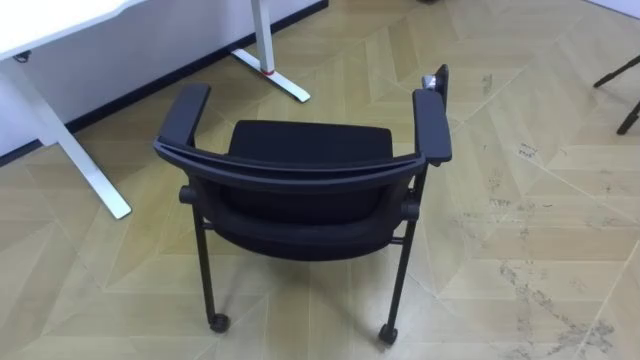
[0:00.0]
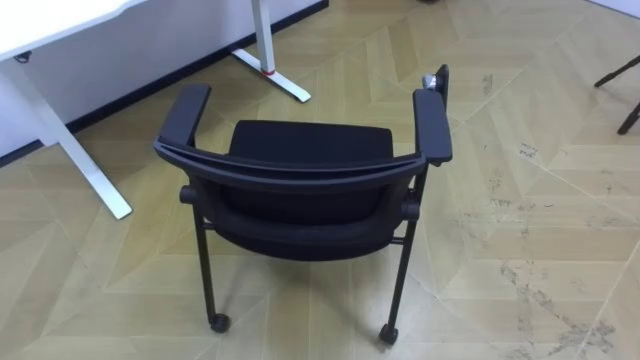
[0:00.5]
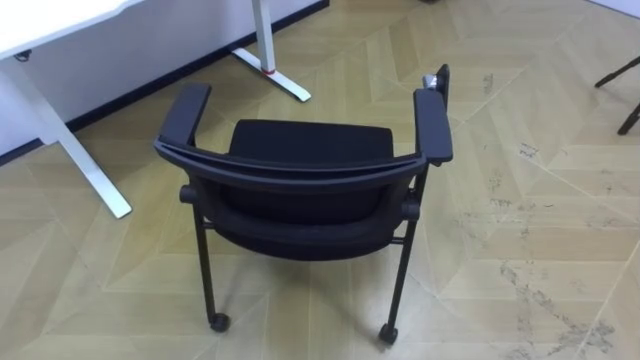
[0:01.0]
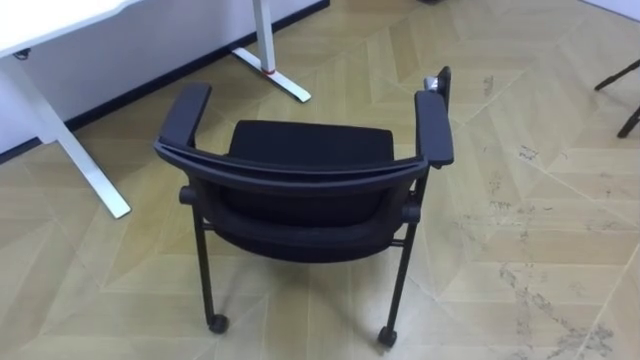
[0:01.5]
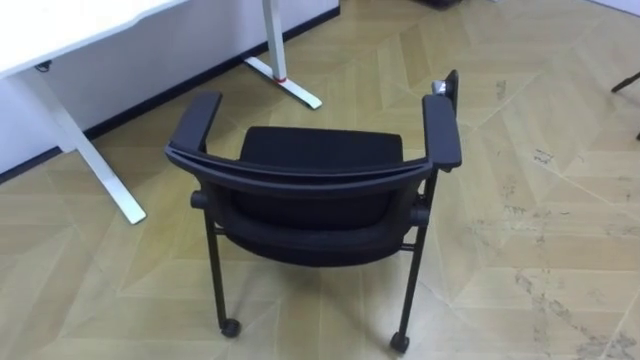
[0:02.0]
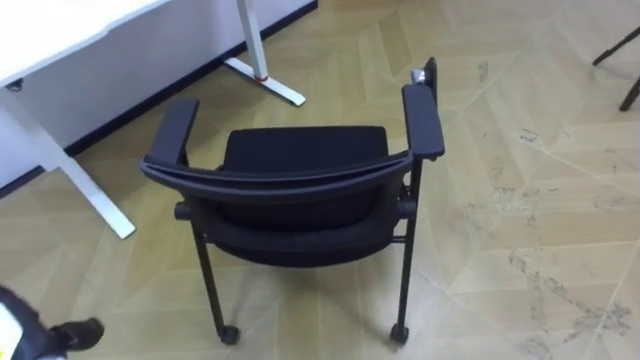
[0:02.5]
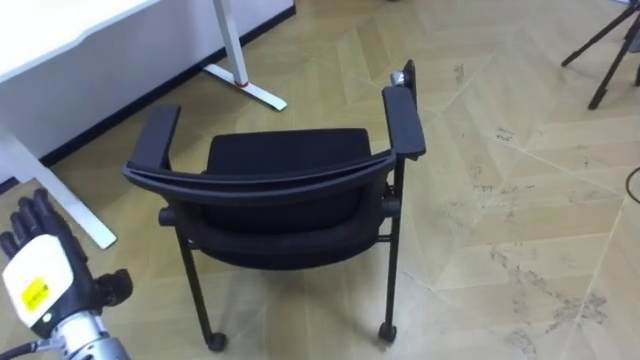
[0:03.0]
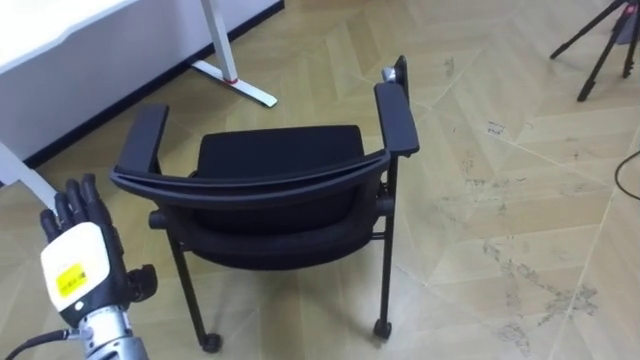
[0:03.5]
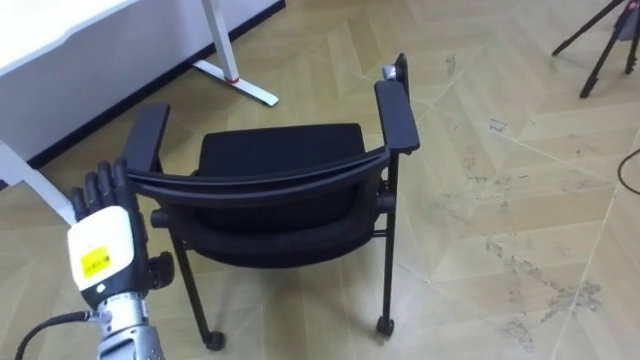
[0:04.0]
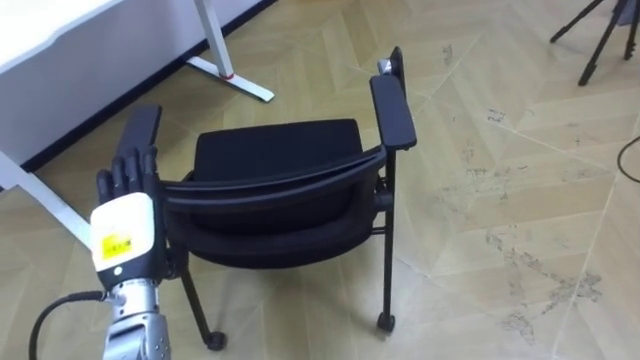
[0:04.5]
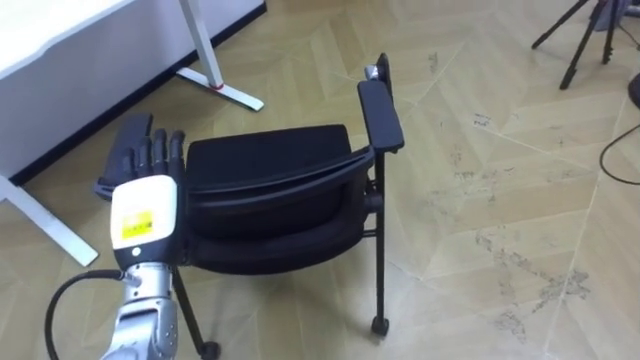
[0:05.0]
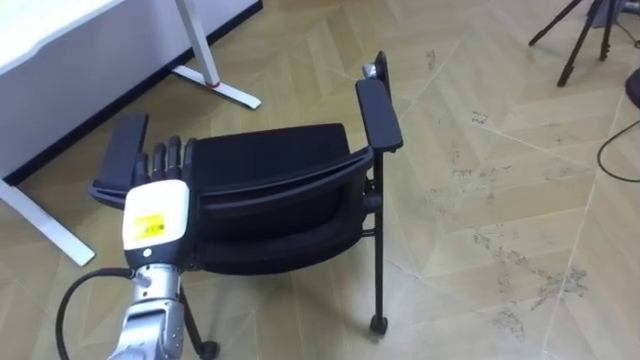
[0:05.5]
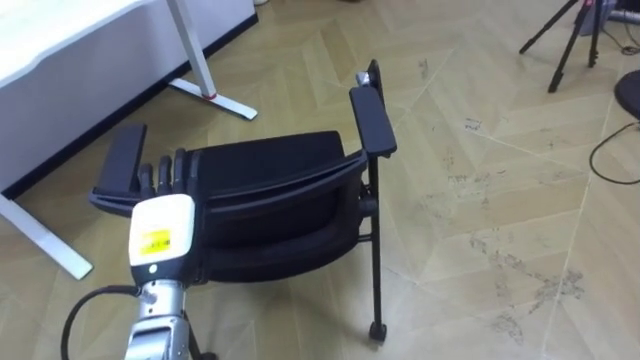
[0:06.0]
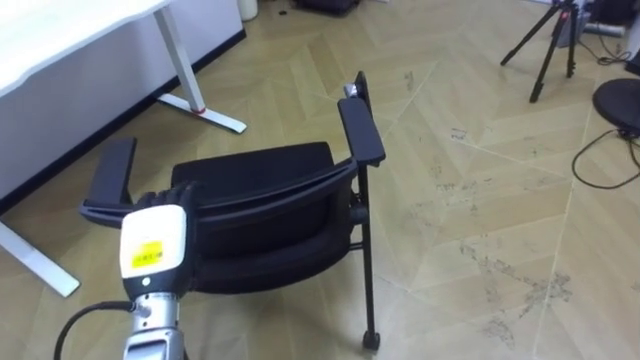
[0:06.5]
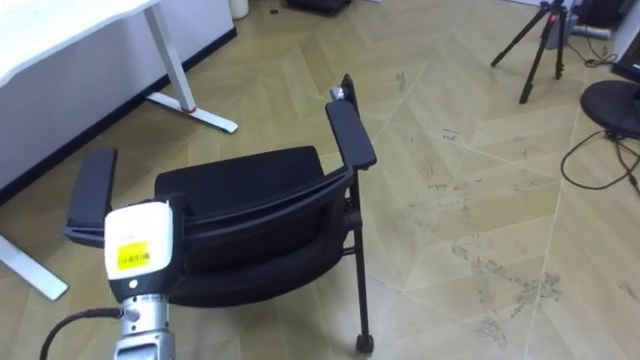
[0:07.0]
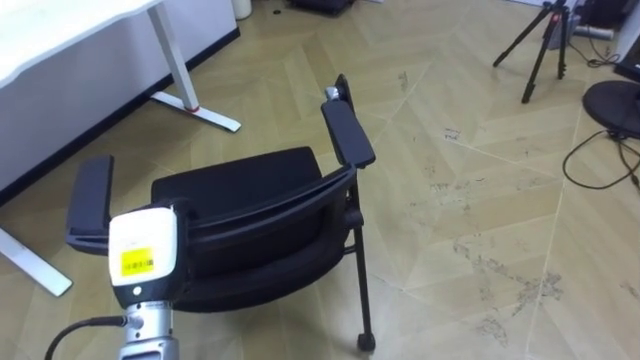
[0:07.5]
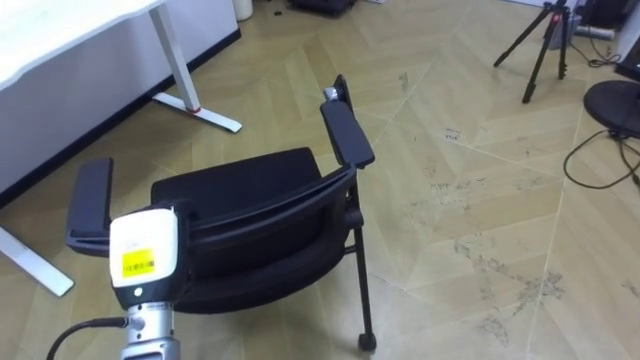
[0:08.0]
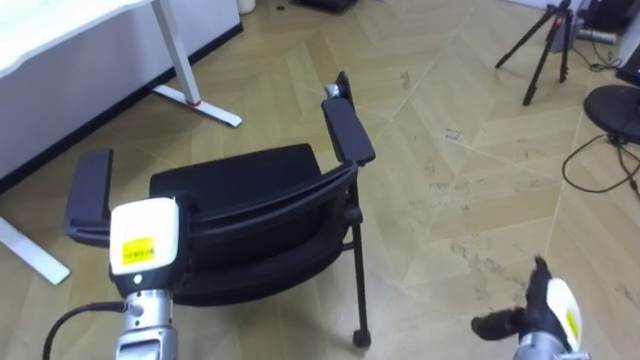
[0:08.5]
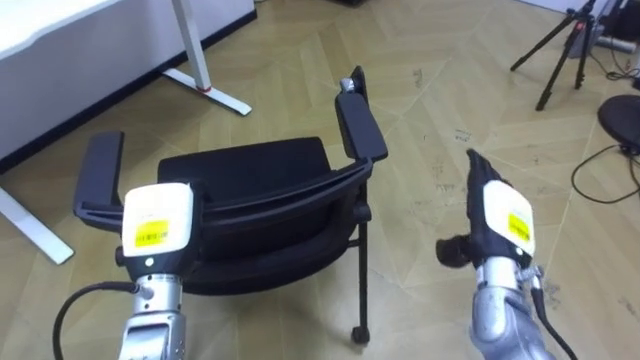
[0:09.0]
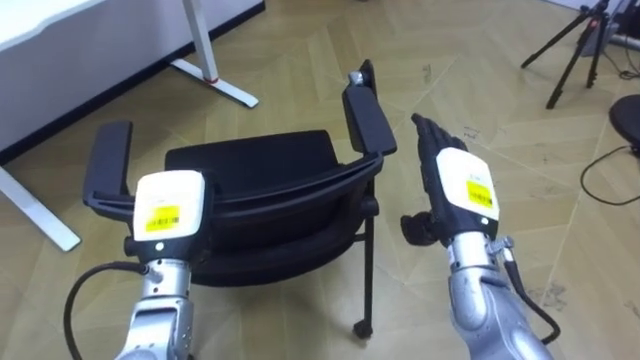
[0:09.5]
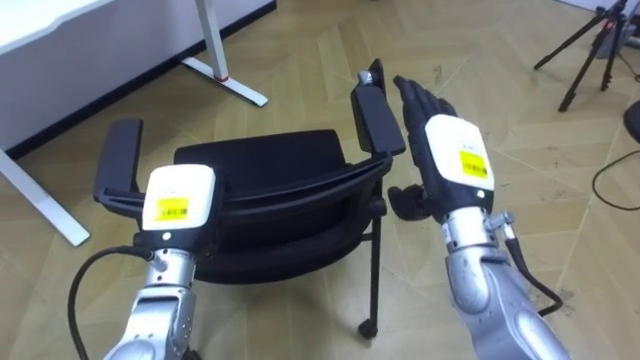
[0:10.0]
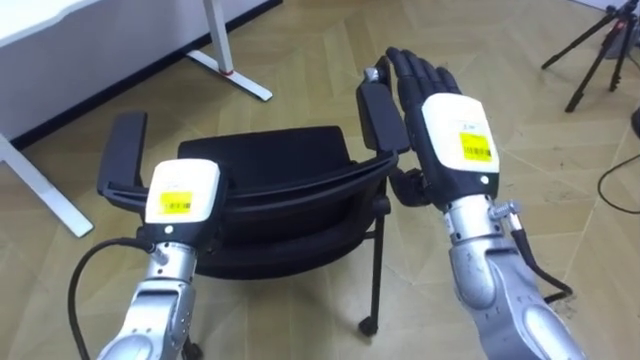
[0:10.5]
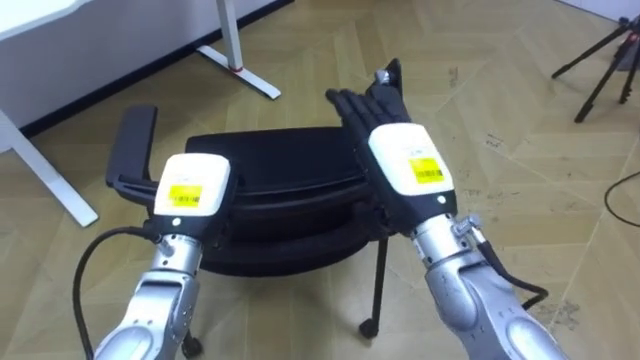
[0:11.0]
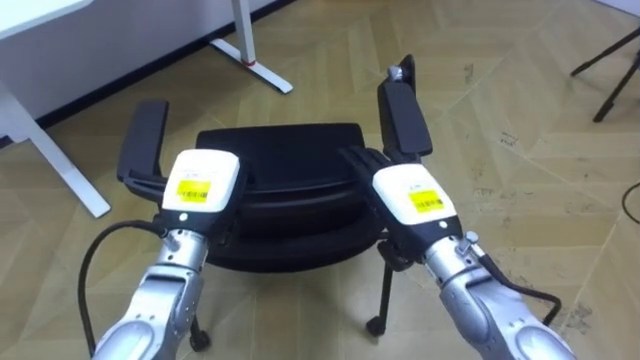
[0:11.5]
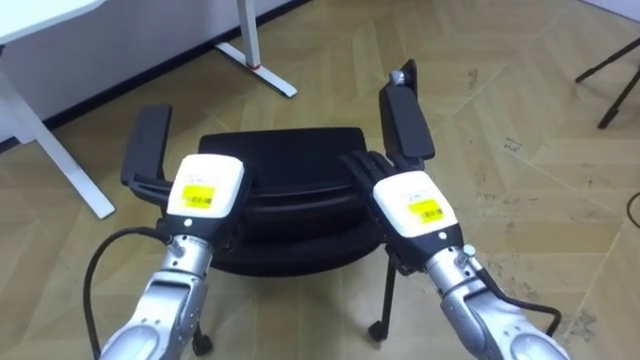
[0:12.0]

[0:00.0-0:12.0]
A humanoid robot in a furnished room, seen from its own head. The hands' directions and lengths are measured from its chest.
Task of the whole recording: Push the chair under the table.
0:04.0 to 0:06.0: The left hand is displaced to the right by roughly 5 cm.
0:06.0 to 0:08.0: The left hand closes.
0:08.0 to 0:10.0: The left hand changes place by about 5 cm.
0:10.0 to 0:12.0: The right hand travels downward by roughly 5 cm.

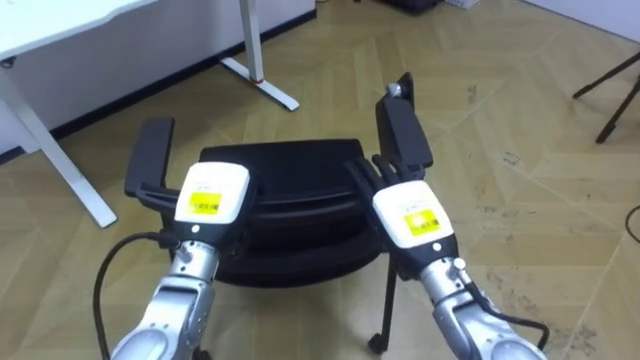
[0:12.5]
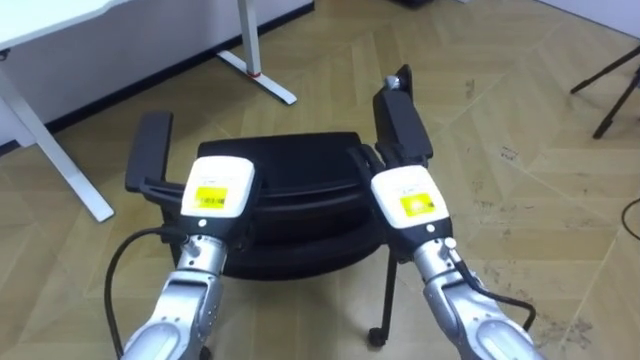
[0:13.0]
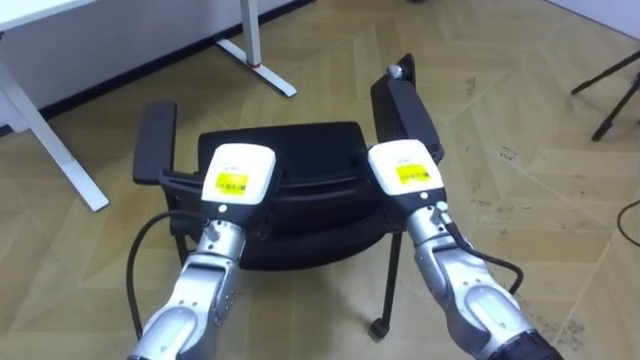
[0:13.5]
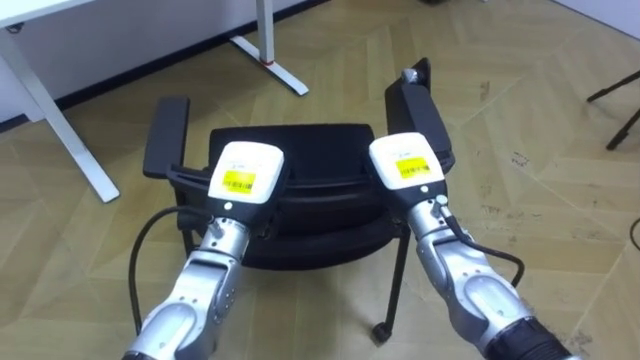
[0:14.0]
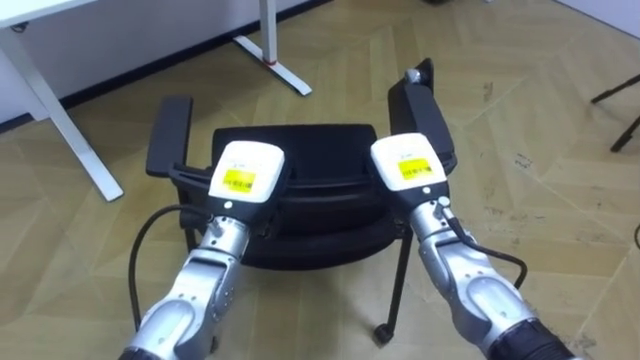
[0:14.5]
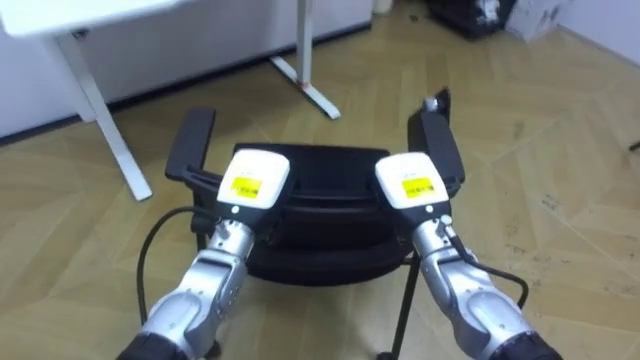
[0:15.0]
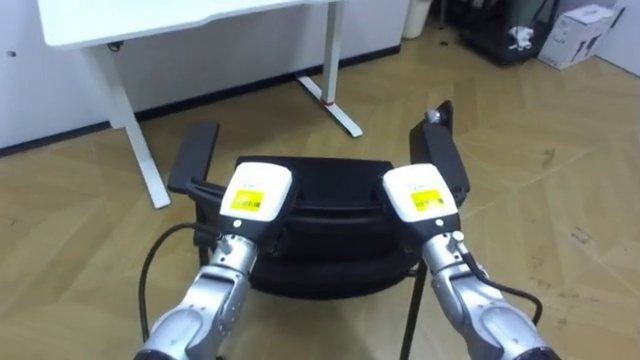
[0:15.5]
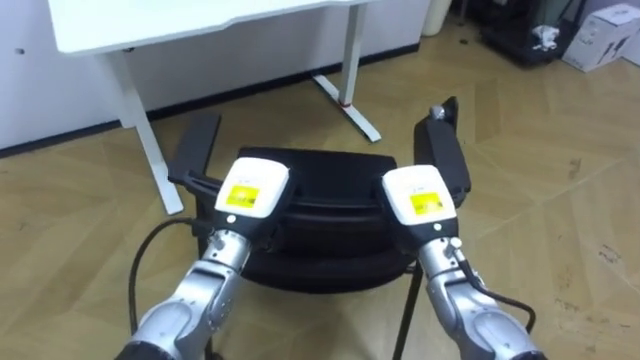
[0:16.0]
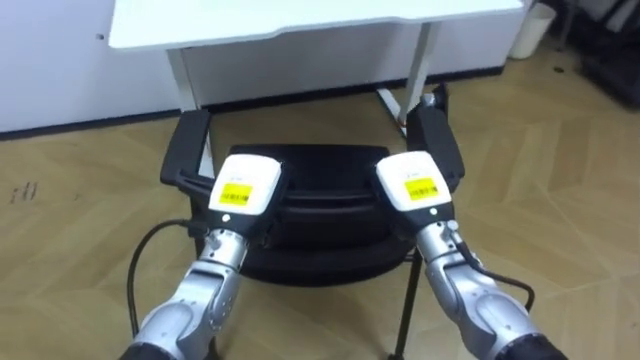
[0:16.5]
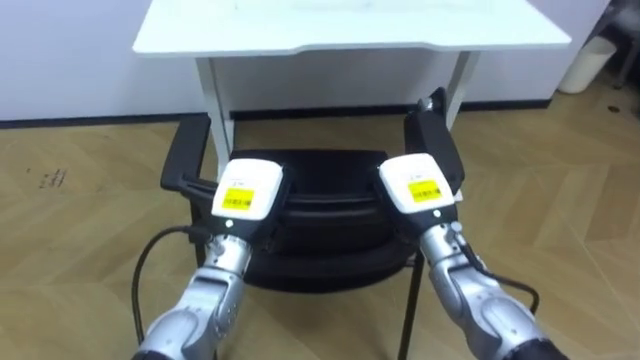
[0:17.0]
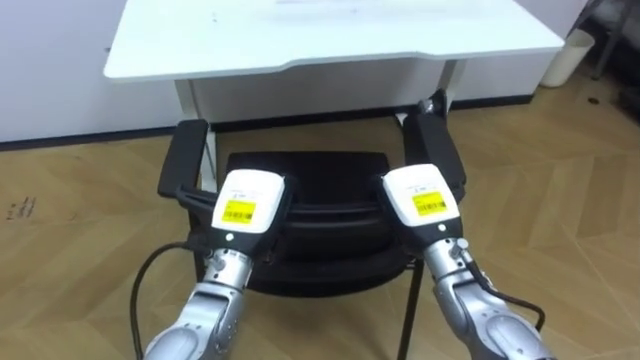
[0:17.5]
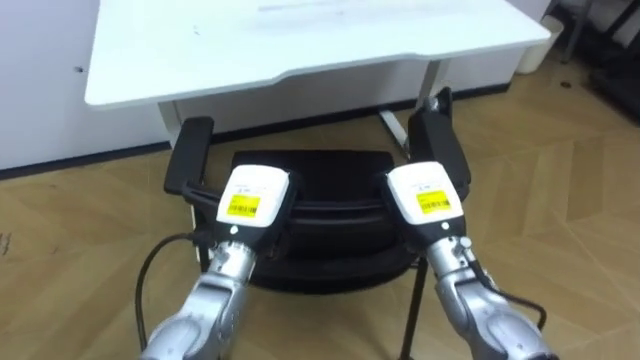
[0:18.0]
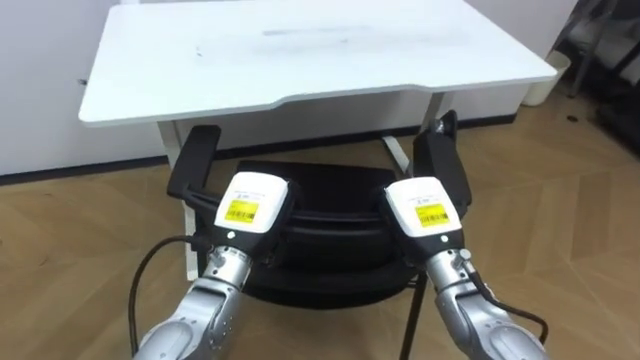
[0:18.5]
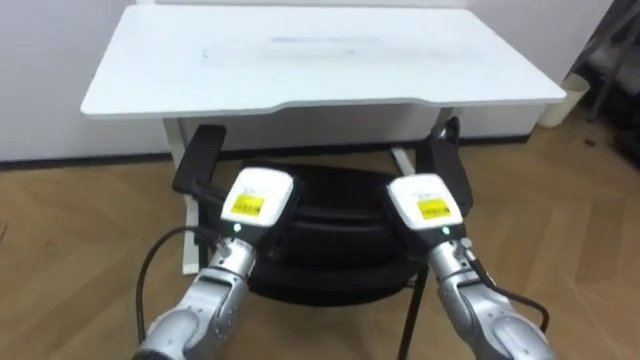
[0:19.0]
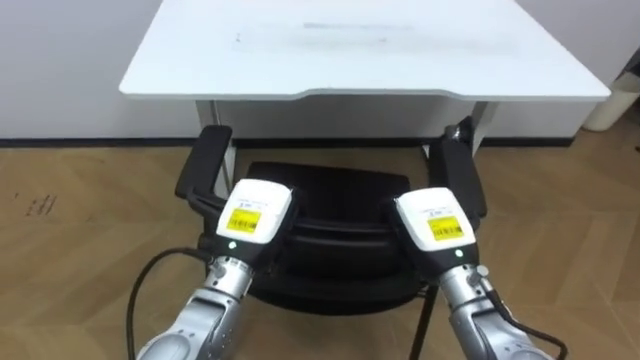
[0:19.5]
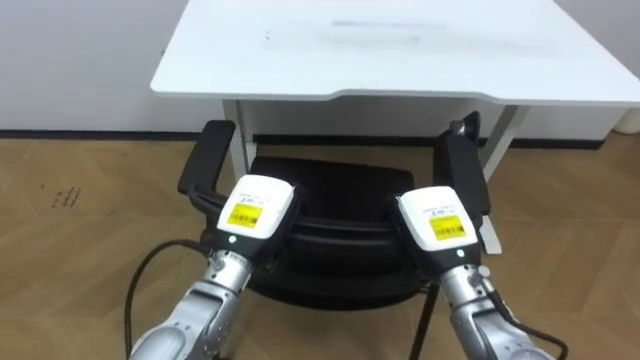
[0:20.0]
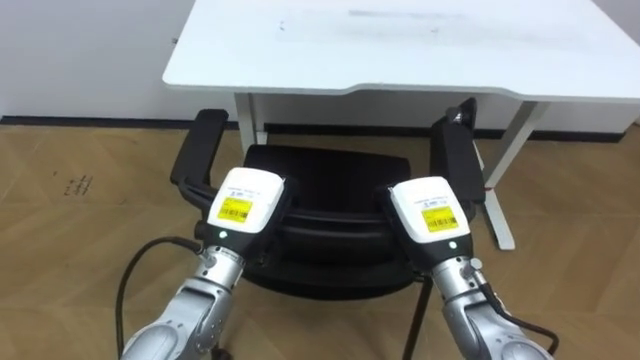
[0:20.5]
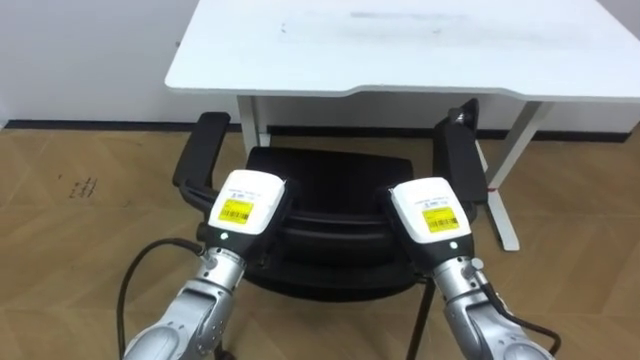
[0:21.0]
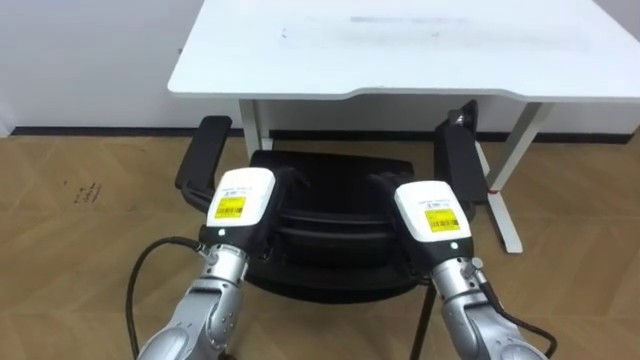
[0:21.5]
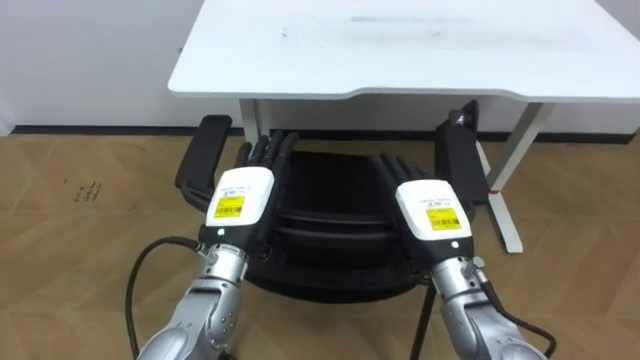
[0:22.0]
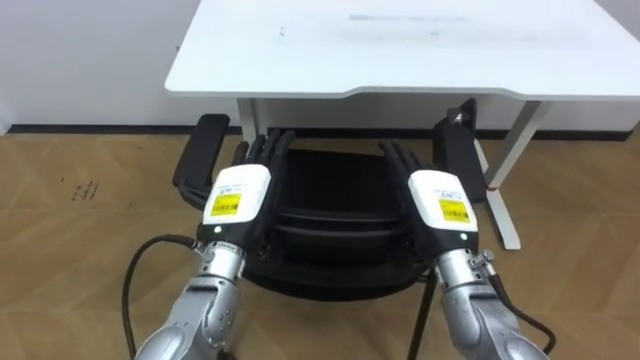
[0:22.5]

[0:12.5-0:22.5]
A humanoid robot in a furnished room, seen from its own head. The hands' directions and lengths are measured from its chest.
Task of the whole recording: Push the chair under the table.
0:12.5 to 0:14.5: The left hand moves approximately 5 cm. The right hand moves forward, about 5 cm, and closes its fingers.
0:14.5 to 0:16.5: The robot rotates some 25 degrees to its left.
0:20.5 to 0:22.5: The left hand opens, while the right hand opens.
